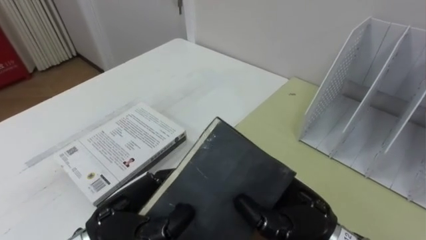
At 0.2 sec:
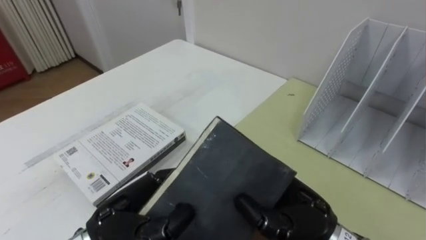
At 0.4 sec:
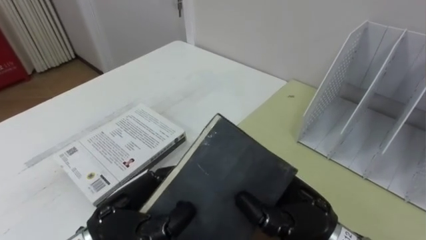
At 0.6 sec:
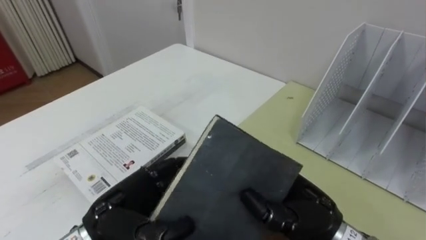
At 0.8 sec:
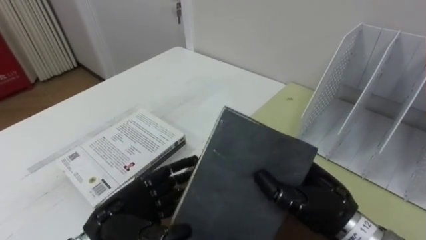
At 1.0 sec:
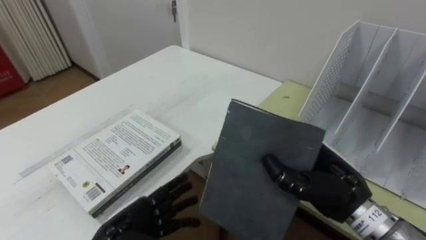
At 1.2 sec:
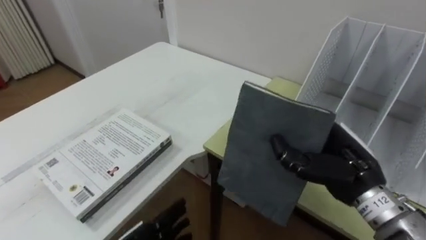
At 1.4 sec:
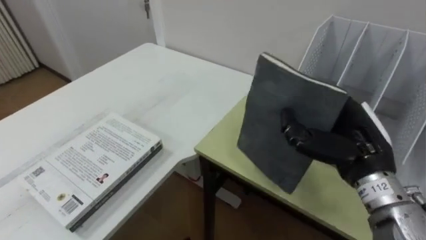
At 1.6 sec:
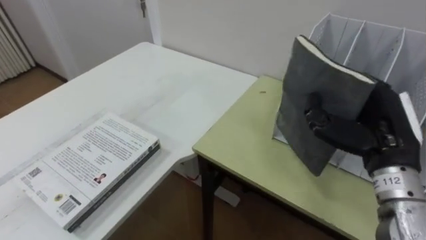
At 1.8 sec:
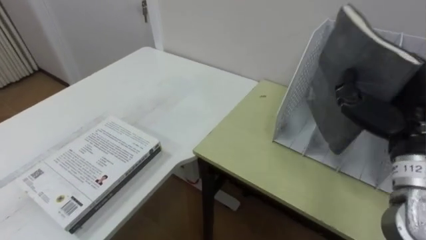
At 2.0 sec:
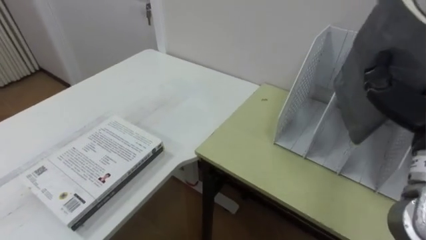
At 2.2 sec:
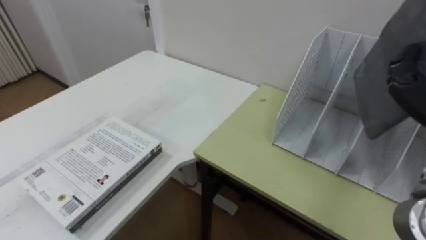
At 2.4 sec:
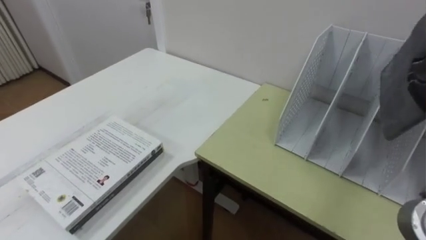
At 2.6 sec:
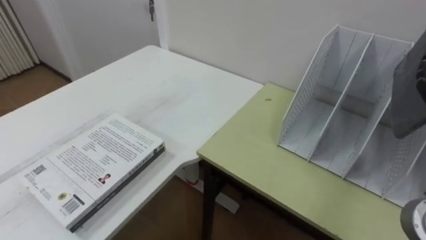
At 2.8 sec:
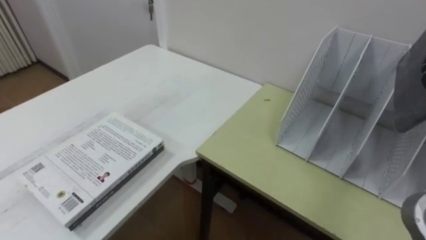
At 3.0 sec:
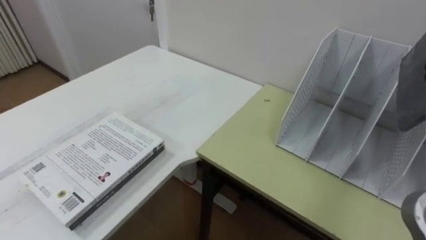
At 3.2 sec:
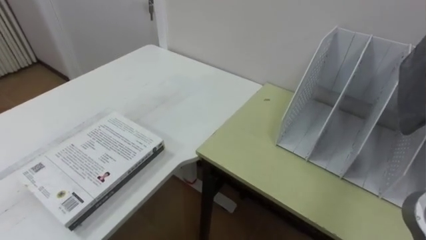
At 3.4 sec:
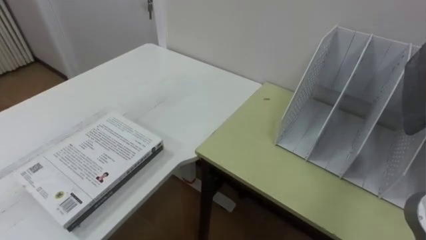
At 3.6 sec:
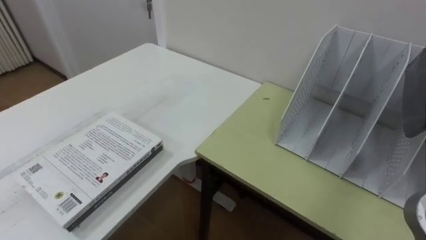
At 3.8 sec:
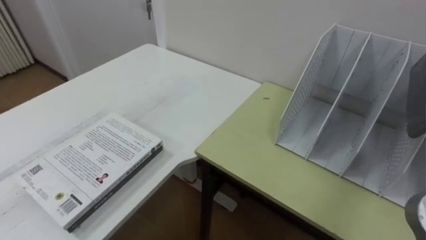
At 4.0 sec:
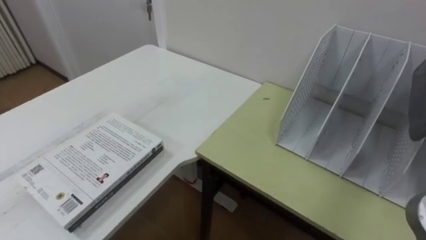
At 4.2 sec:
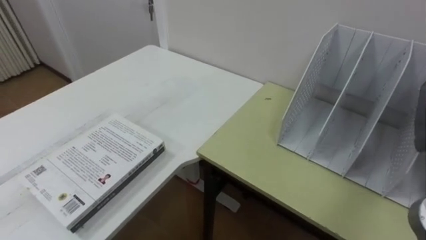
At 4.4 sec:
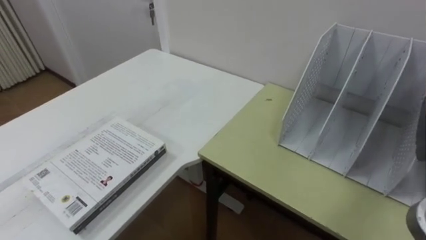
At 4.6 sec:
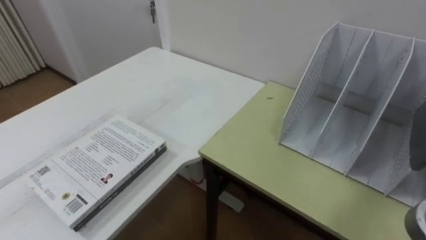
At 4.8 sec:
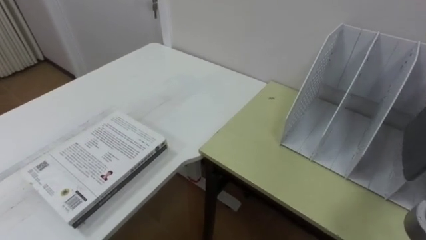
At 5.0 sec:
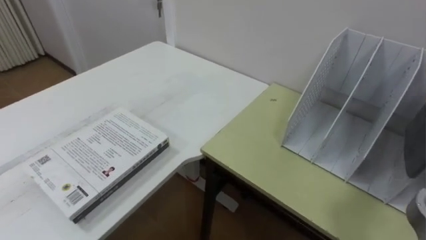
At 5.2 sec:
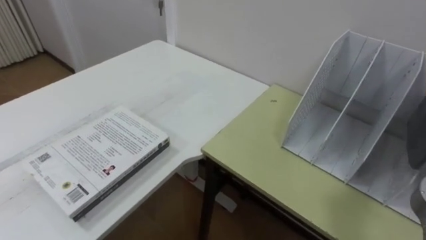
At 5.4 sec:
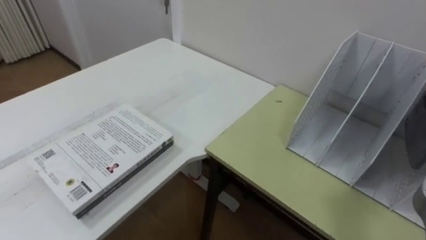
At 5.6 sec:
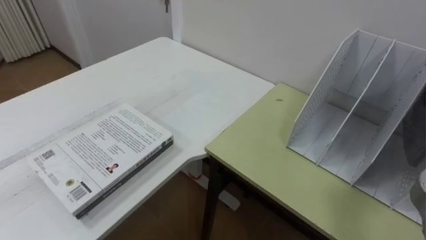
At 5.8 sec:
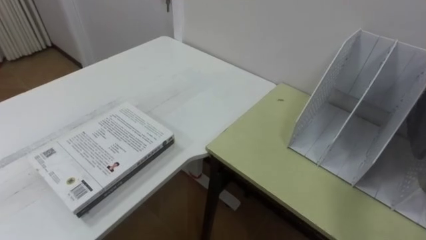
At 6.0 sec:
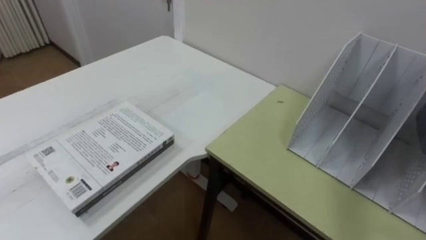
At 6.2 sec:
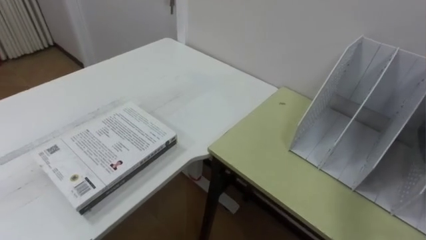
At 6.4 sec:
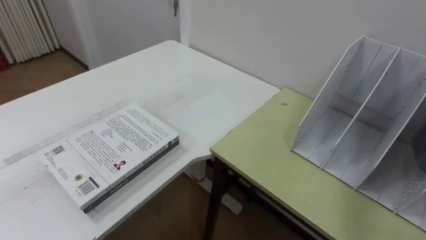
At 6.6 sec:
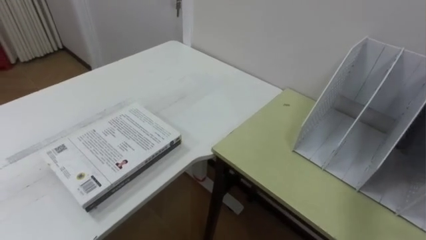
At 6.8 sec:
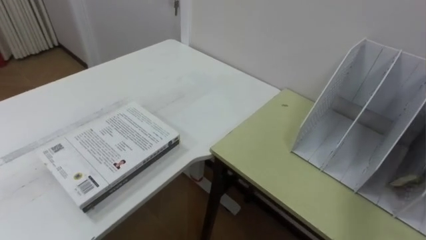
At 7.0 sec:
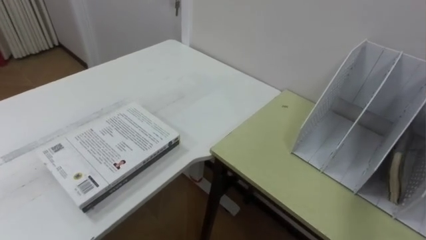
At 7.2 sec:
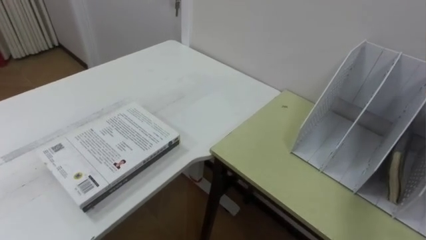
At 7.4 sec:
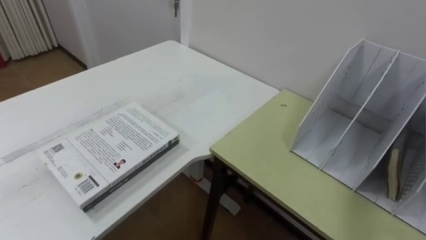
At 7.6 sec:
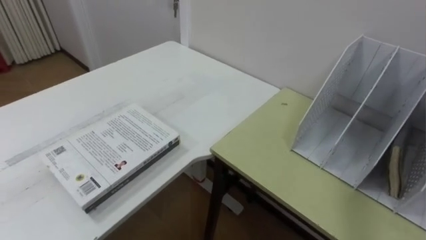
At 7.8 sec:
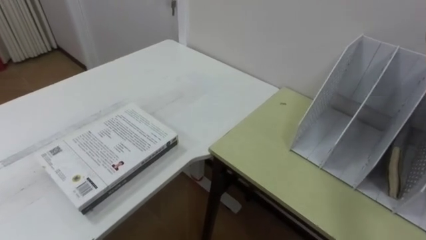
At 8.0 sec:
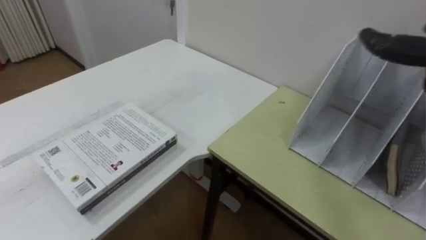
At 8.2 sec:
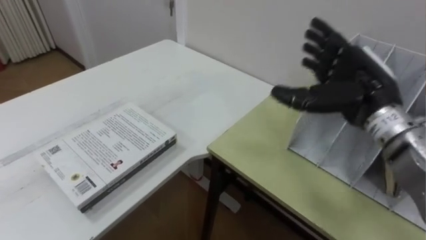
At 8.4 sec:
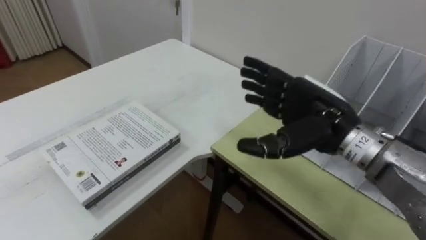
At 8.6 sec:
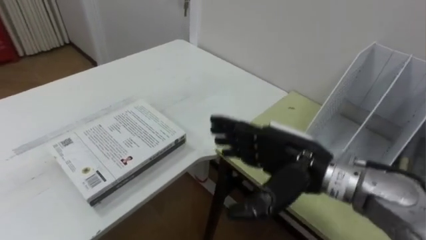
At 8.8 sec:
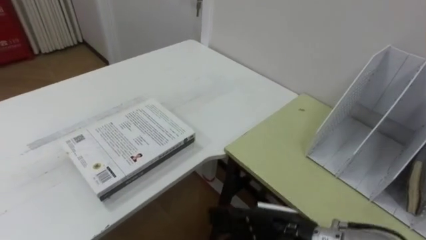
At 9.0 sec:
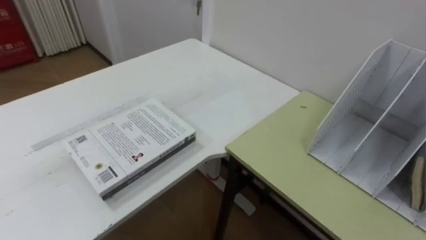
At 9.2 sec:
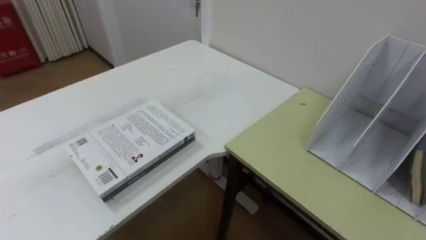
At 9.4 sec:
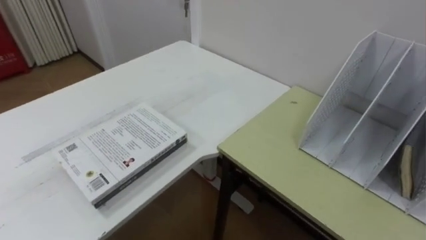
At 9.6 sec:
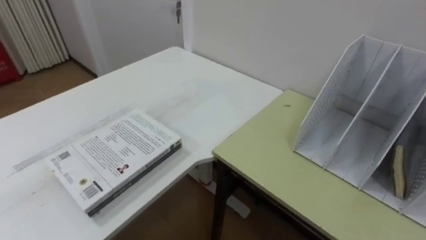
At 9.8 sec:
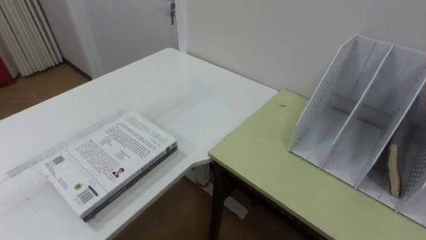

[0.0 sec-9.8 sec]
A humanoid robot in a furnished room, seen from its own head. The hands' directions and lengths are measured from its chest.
Task of the whole recording: Put the books on the table onto the bookshelf.
0.0 sec to 1.4 sec: The right hand is displaced to the right, forward and upward by approximately 15 cm.

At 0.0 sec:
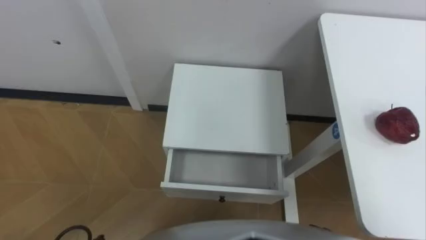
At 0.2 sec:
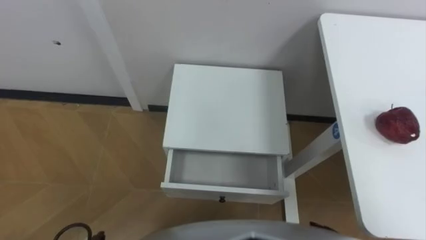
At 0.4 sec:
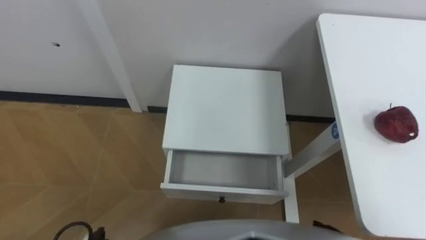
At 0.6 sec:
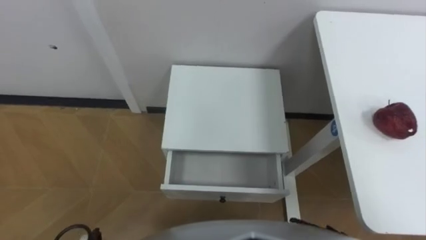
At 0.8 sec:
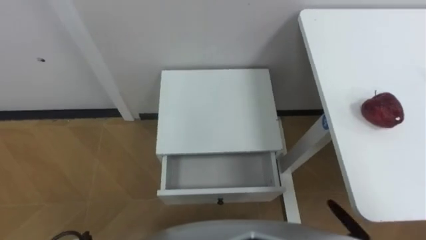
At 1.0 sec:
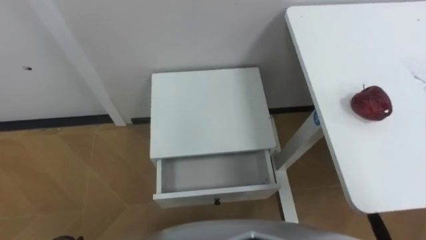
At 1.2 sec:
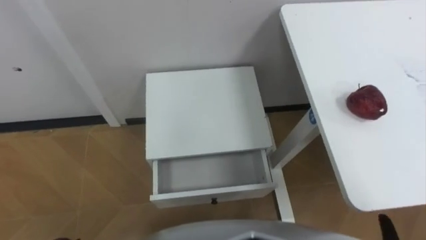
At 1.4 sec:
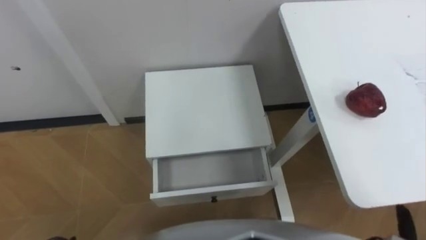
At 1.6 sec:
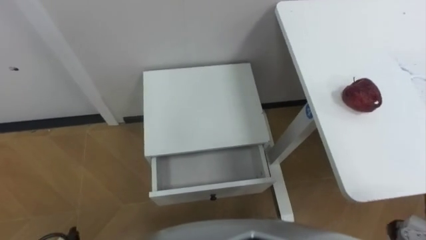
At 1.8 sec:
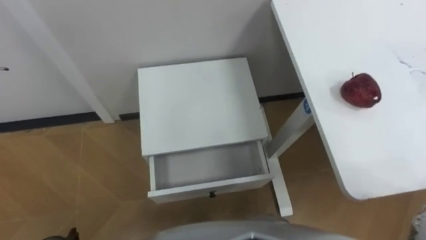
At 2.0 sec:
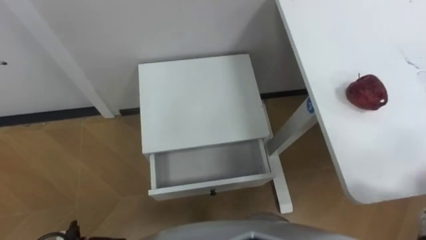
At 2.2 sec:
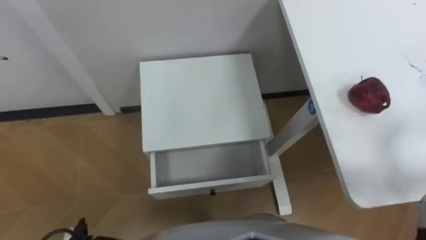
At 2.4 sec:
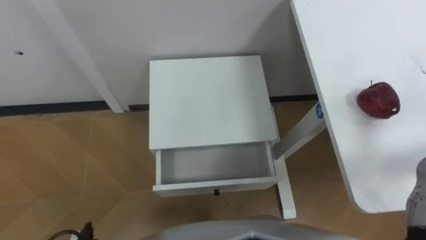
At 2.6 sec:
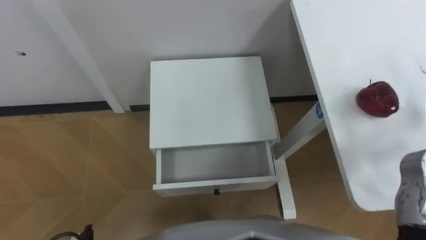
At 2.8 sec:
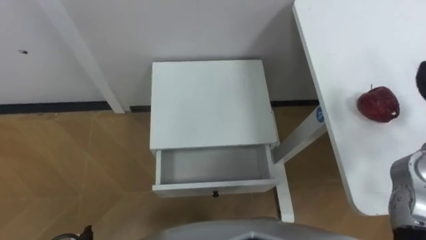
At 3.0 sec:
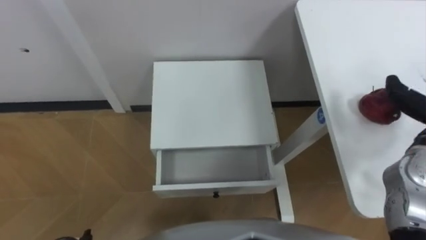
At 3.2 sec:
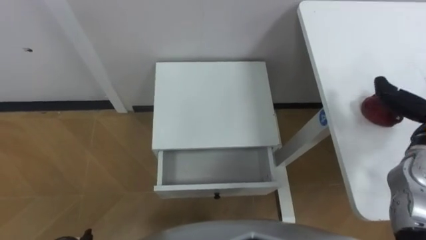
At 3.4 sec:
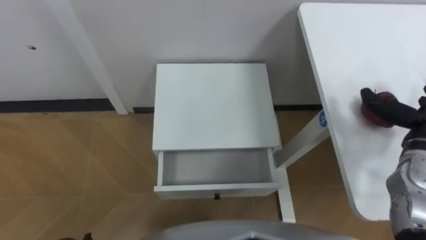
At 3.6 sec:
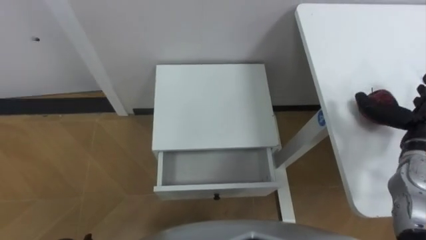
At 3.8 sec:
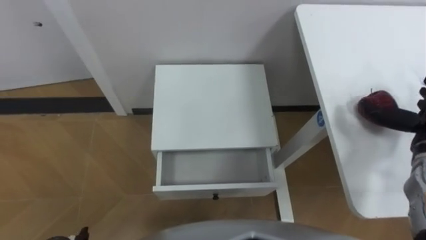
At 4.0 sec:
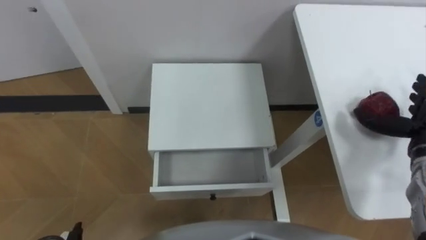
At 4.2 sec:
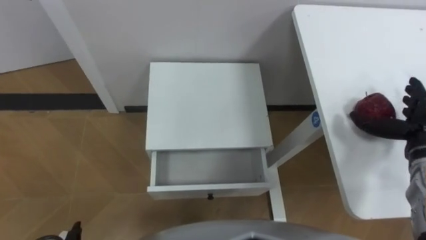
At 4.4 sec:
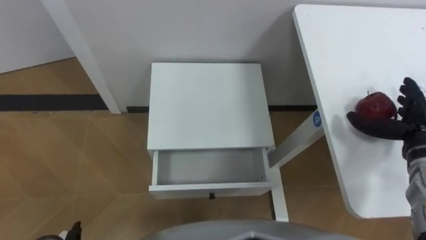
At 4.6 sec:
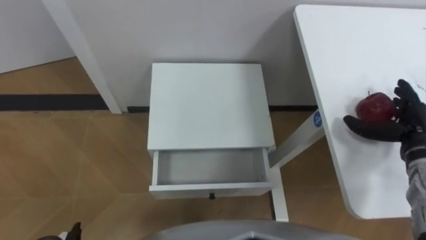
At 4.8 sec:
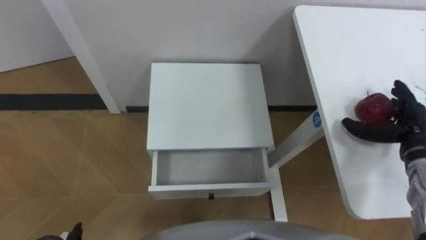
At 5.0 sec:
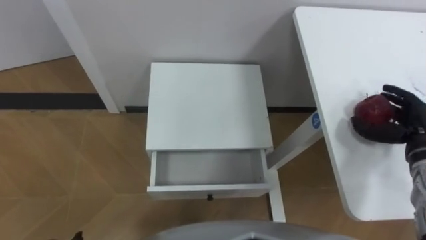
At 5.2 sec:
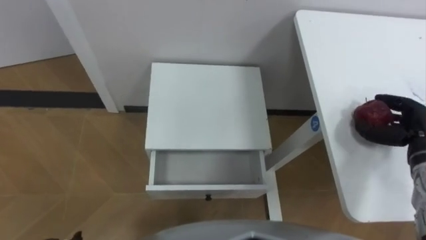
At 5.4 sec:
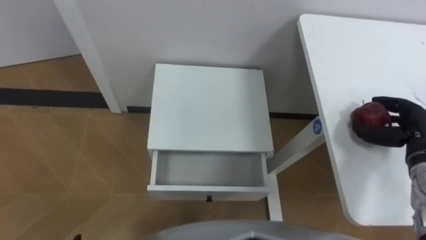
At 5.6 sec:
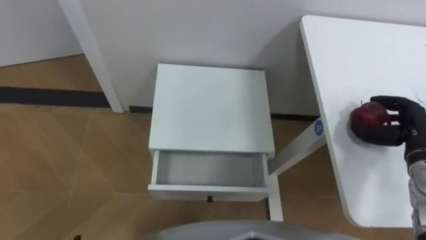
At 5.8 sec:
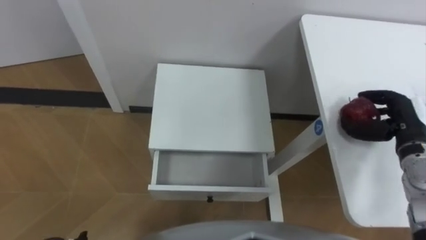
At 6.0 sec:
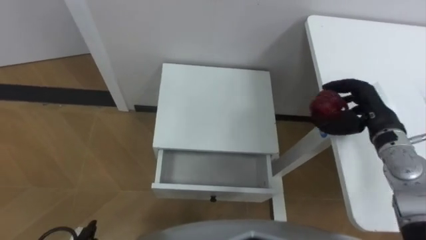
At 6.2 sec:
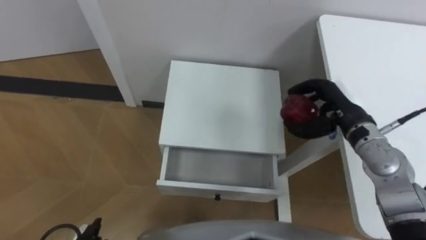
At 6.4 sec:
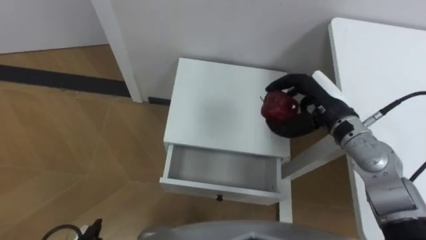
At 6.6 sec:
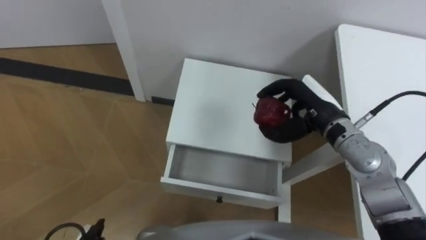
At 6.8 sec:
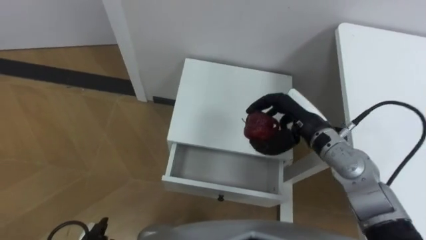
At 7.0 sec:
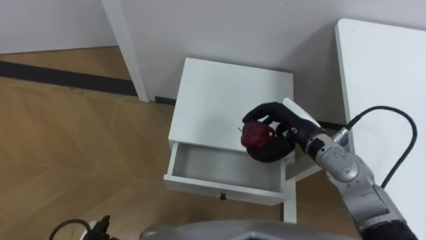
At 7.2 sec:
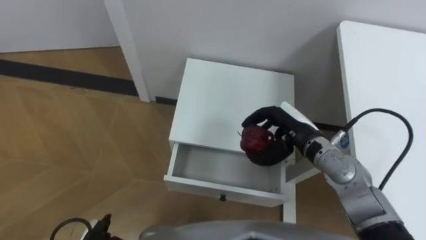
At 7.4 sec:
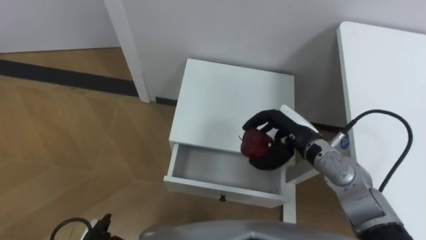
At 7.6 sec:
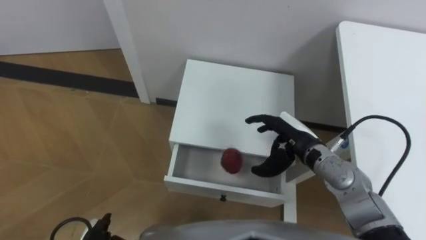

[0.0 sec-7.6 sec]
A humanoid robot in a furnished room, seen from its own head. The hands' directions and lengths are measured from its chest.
Task of the whole recording: Pick up the apple from the table, put it in the drawer, and close the drawer with leg.
4.6 sec to 6.0 sec: The right hand goes some 5 cm to the left, and closes.
6.0 sec to 7.6 sec: The right hand is displaced to the left by some 15 cm.
